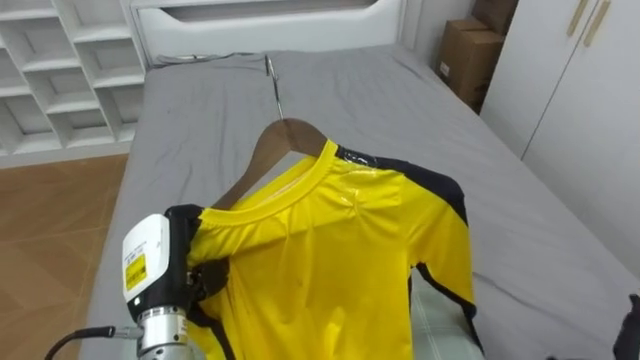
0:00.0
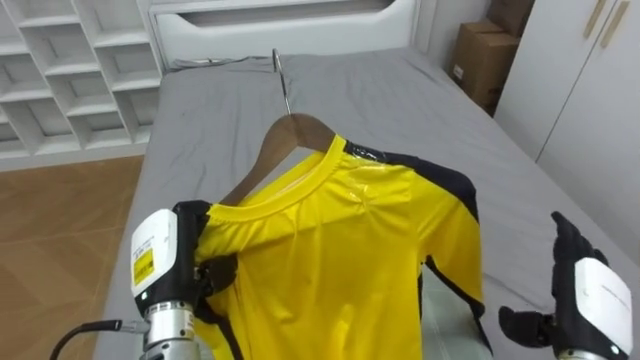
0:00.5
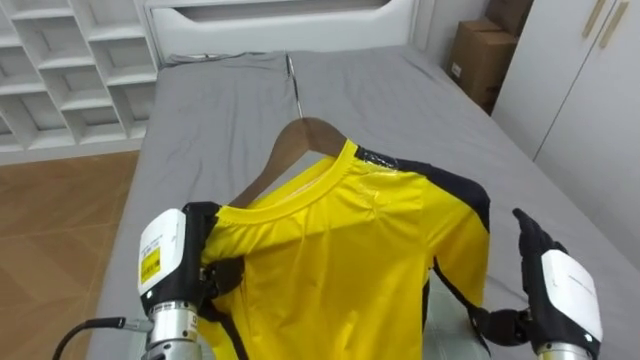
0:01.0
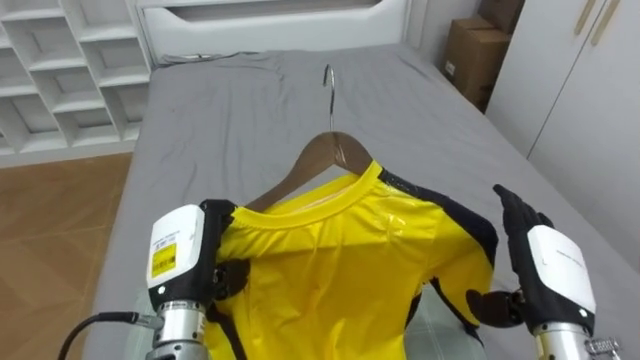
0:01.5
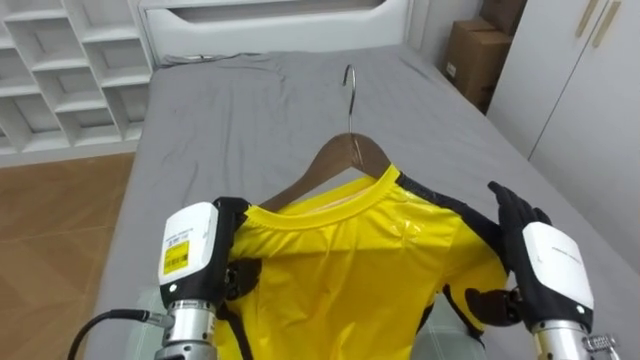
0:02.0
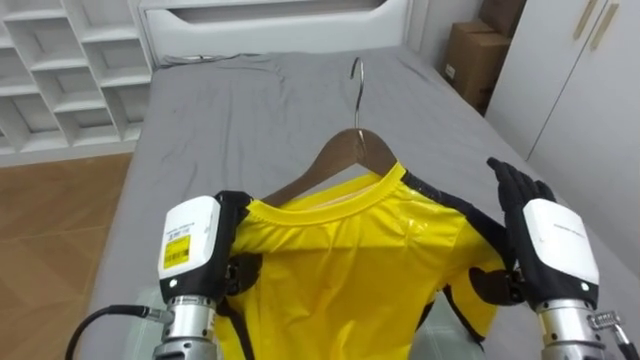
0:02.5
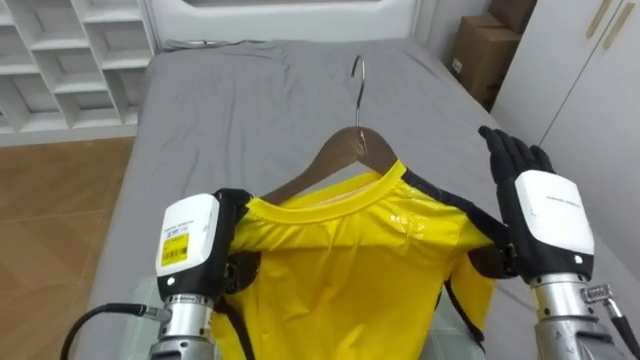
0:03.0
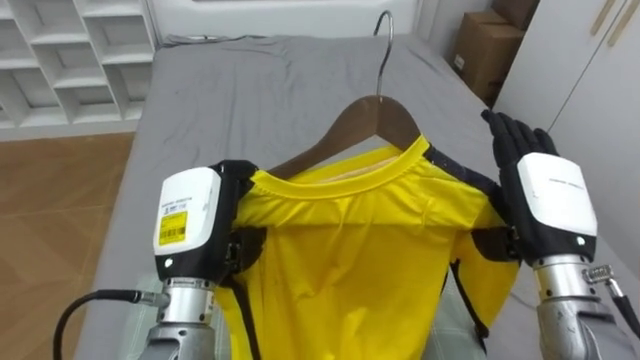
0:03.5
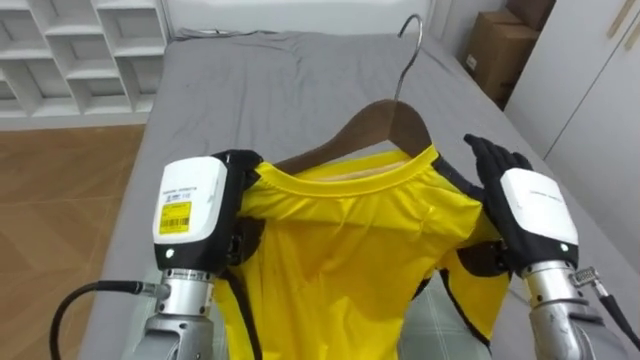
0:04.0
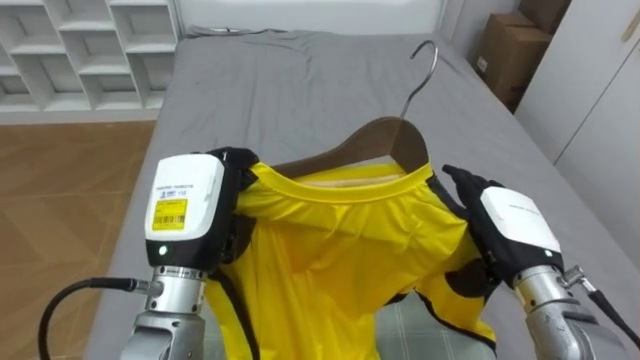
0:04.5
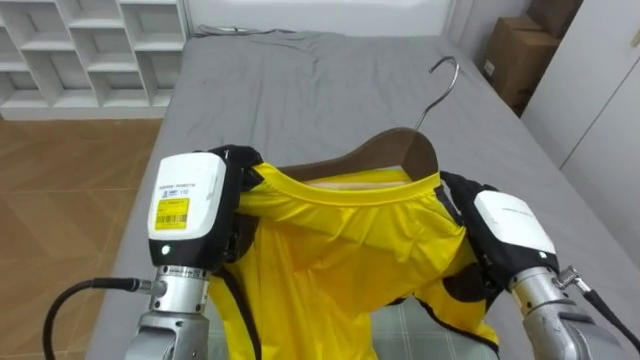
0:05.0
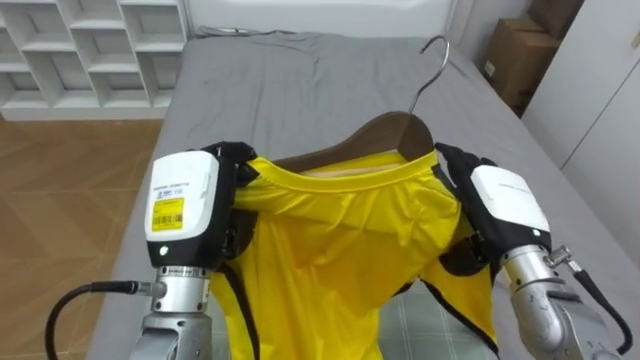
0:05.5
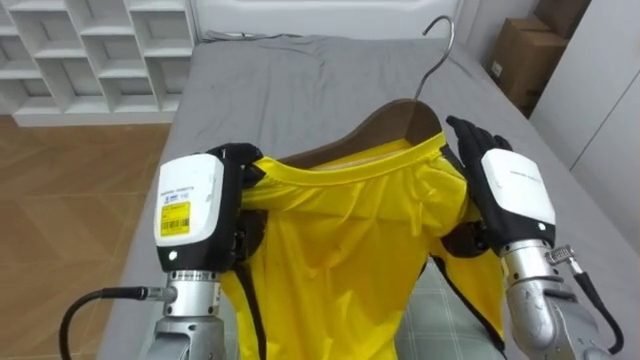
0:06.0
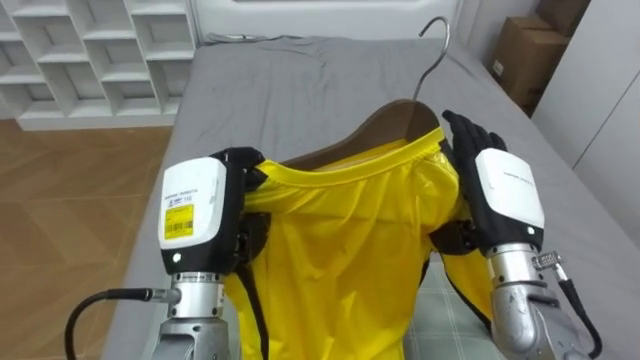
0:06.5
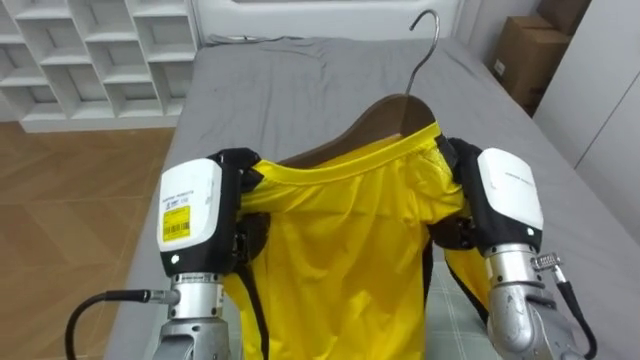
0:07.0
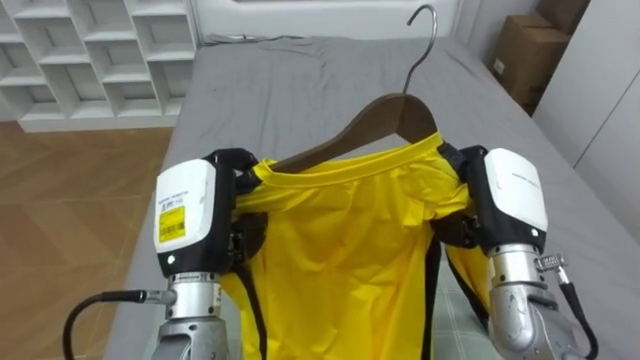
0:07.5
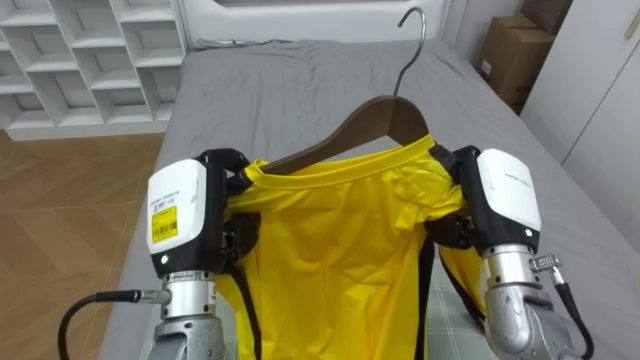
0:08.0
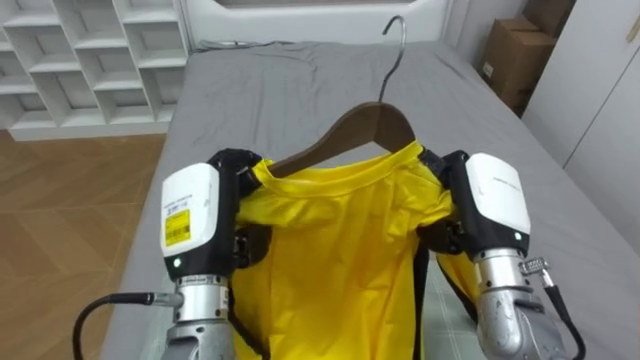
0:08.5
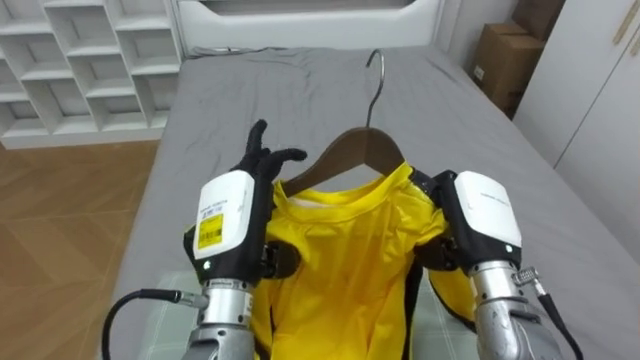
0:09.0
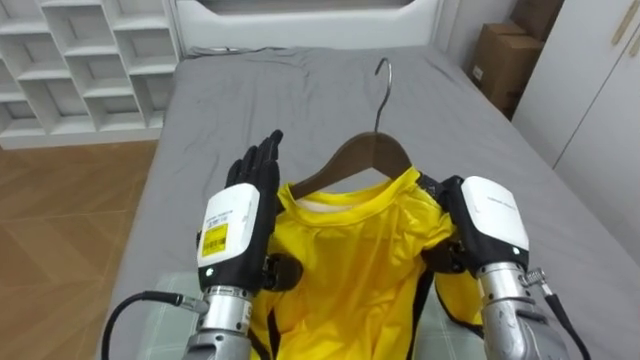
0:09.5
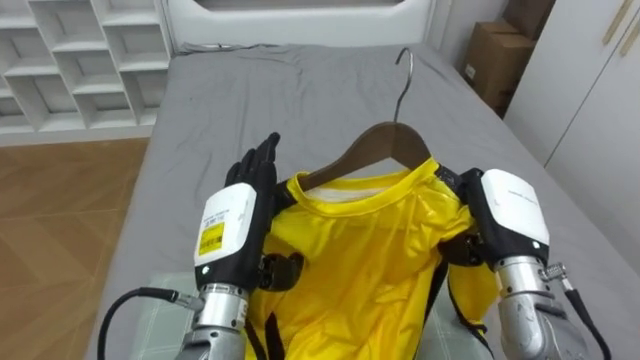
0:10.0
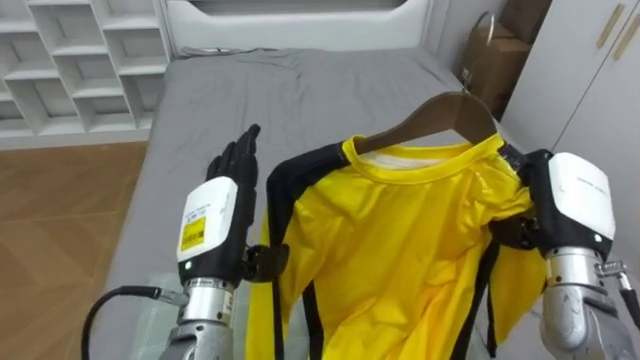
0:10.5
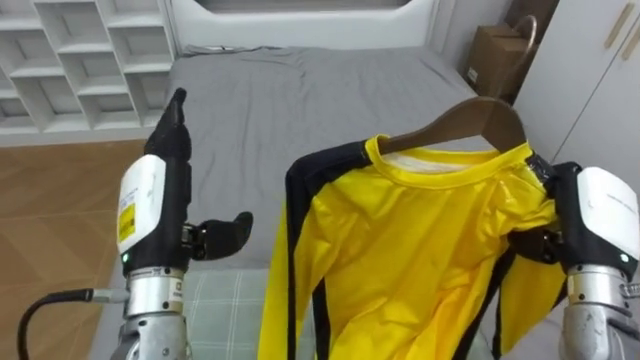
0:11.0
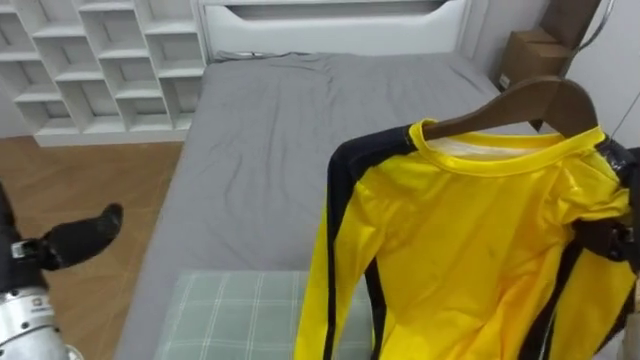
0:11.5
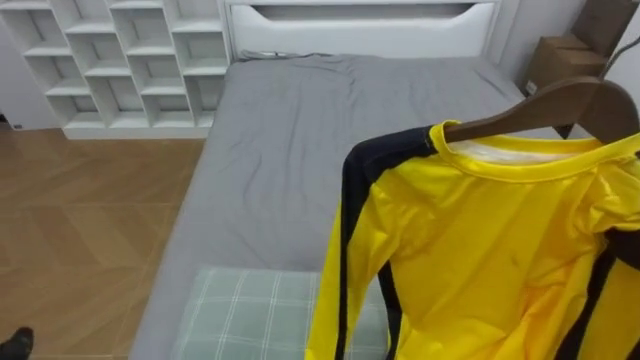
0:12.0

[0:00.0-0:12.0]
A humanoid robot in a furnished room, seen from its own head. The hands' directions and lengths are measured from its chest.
Task of the whole recording: Pick up the yellow shirt on the bed and hang it on the clothes rack on the right.
0:00.0 to 0:02.0: The left hand shifts by approximately 5 cm.
0:02.0 to 0:04.0: The right hand moves approximately 5 cm. Meanwhile the left hand is displaced upward by roughly 5 cm.
0:06.0 to 0:08.0: The right hand closes.
0:08.0 to 0:10.0: The left hand opens up.

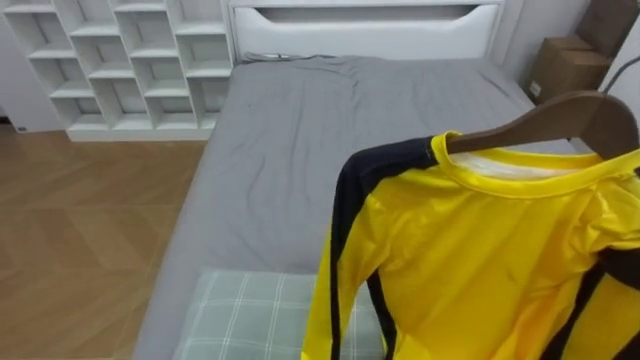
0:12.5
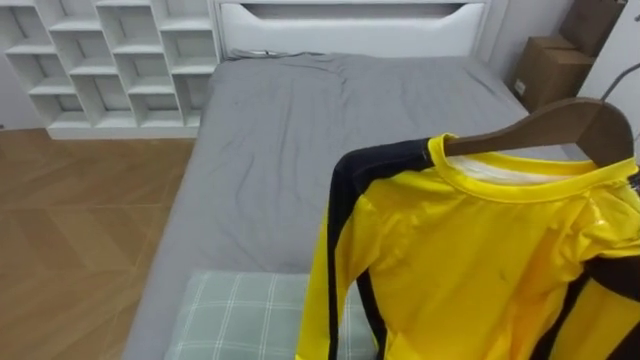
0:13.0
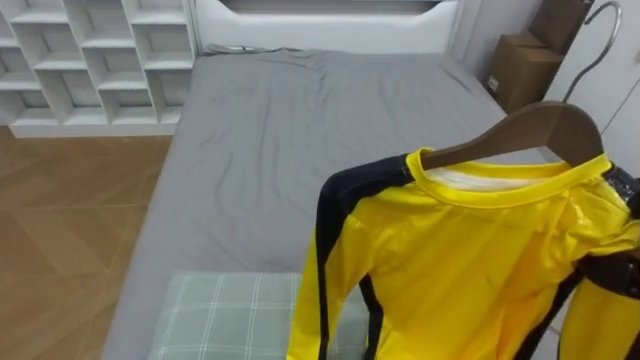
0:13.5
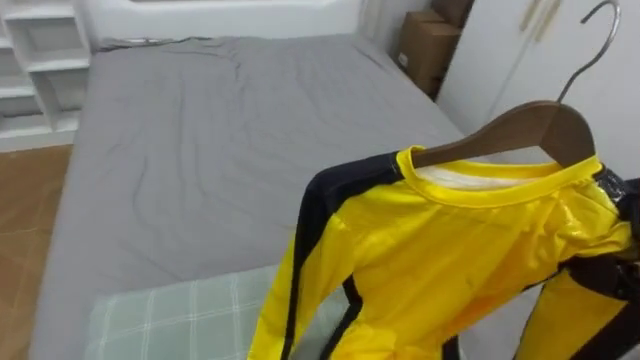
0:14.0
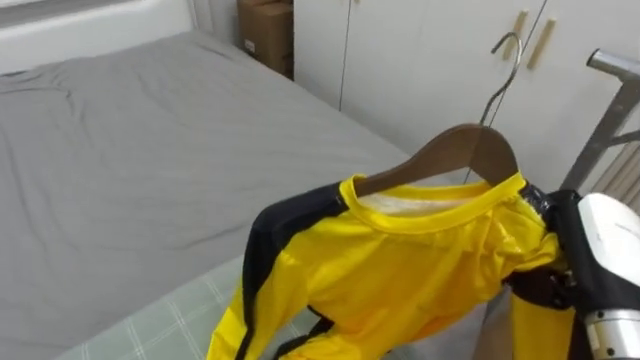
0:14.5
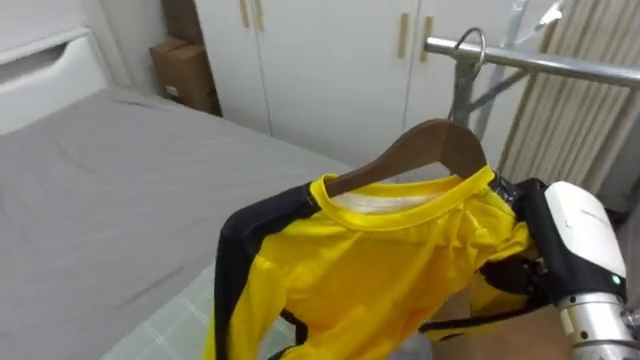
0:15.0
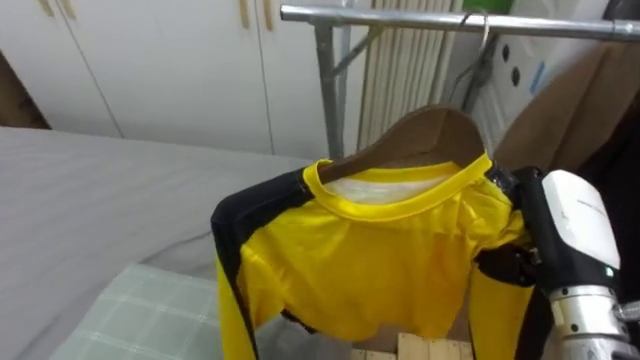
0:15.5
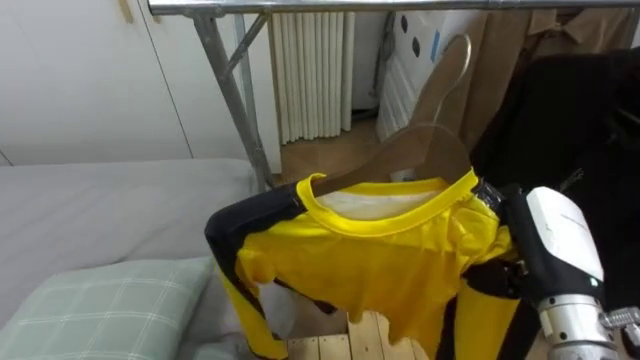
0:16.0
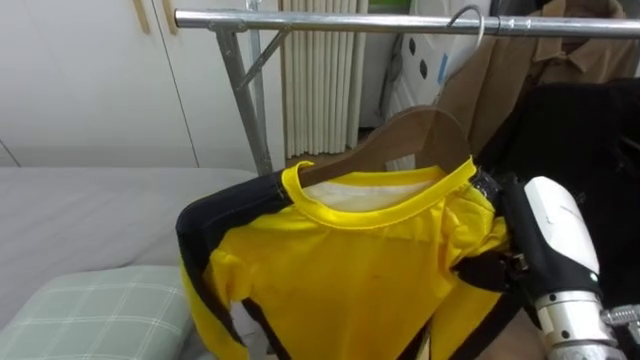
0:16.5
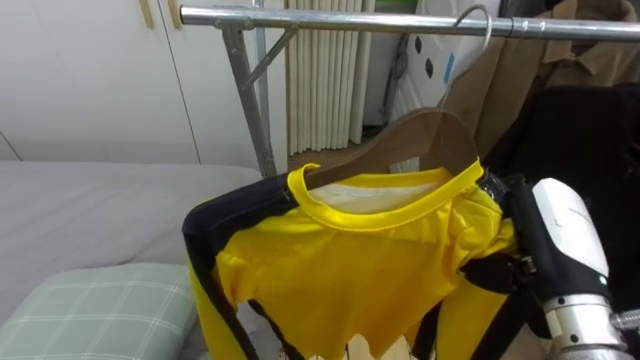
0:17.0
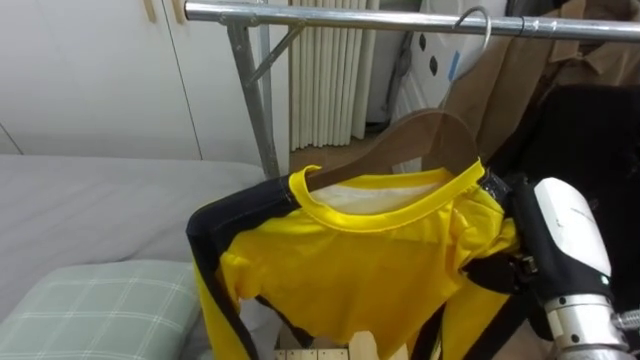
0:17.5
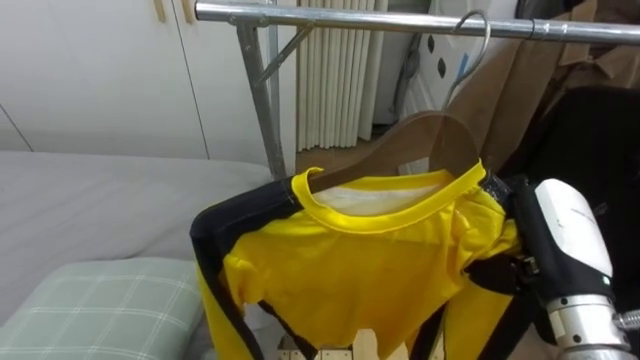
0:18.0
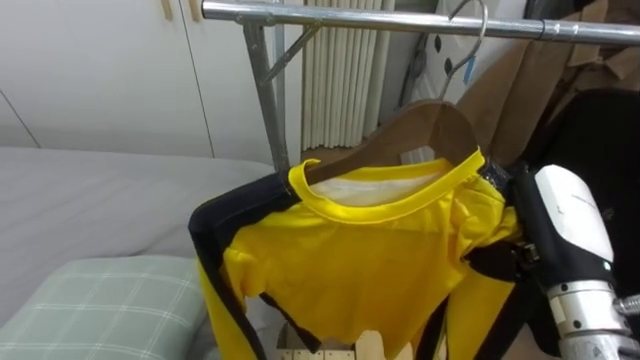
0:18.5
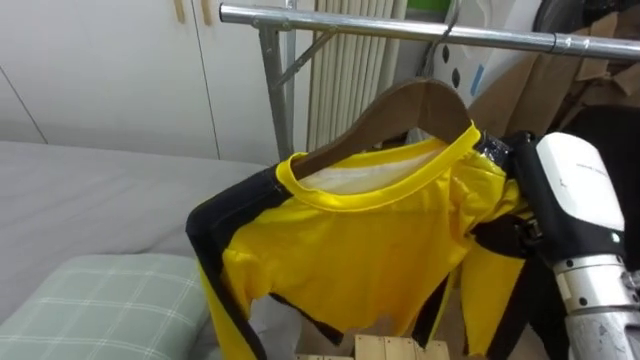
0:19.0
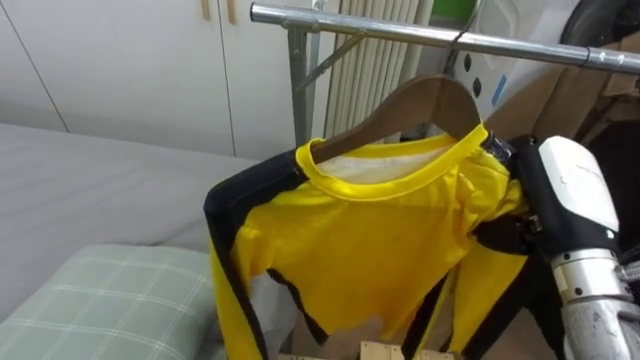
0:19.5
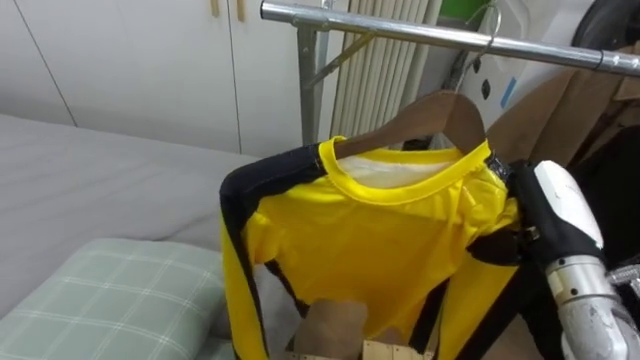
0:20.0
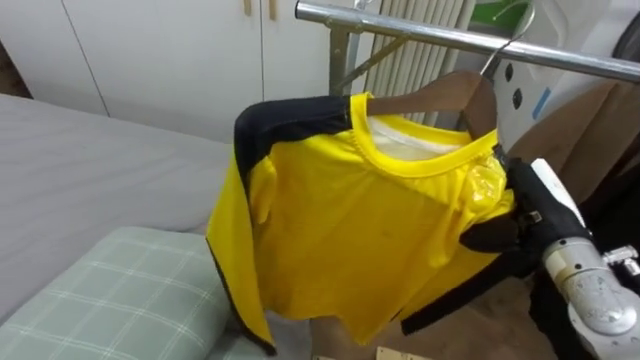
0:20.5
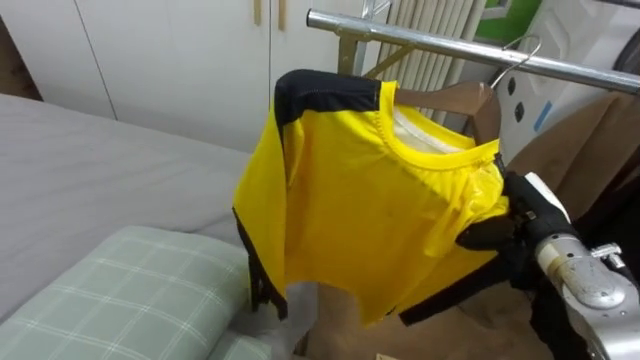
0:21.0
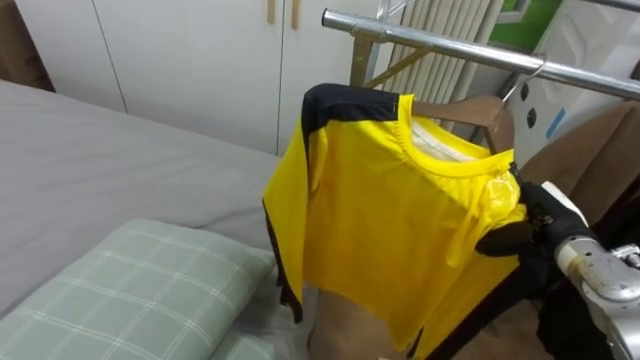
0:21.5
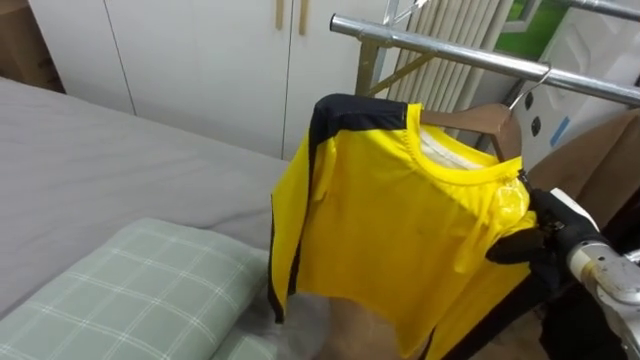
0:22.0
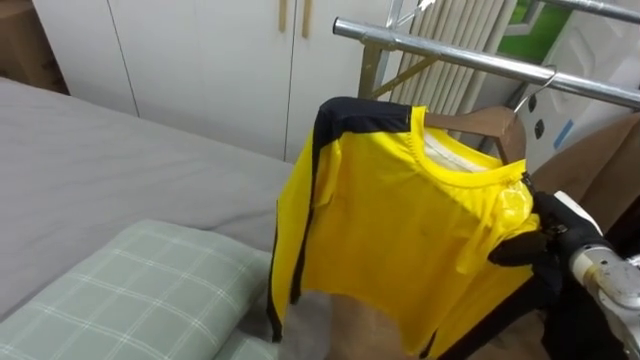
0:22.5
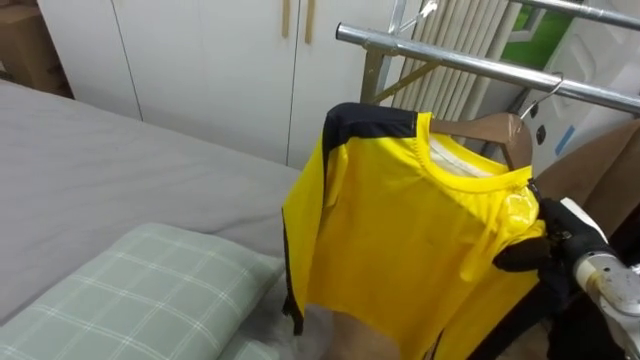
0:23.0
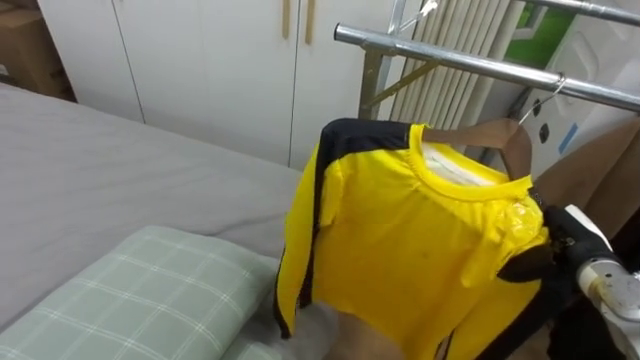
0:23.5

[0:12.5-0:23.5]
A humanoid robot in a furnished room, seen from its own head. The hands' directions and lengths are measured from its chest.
Task of the whole recording: Pick up the yellow shirt on the bed and hang it on the clothes rack on the right.
0:12.5 to 0:14.5: The robot turns to its right by roughly 40 degrees.
0:14.5 to 0:16.0: The robot faces approximately 50 degrees further to its right.
0:20.0 to 0:21.5: The right hand travels downward and forward by approximately 10 cm.
